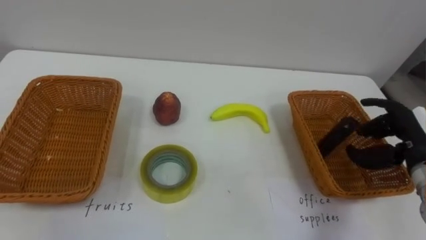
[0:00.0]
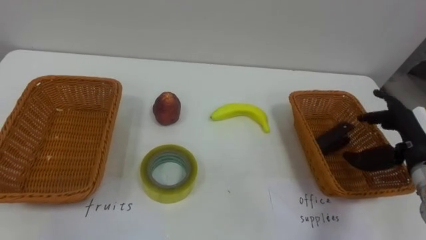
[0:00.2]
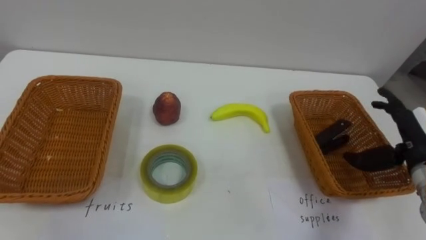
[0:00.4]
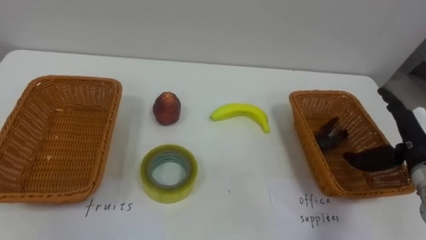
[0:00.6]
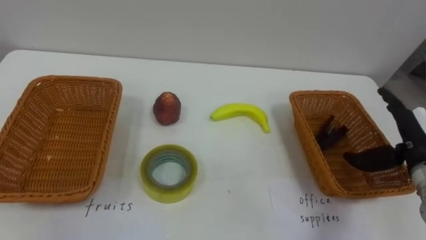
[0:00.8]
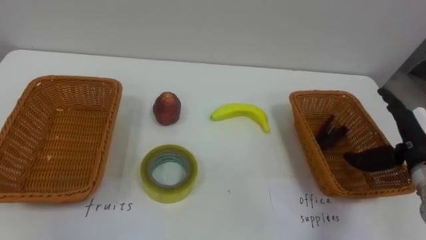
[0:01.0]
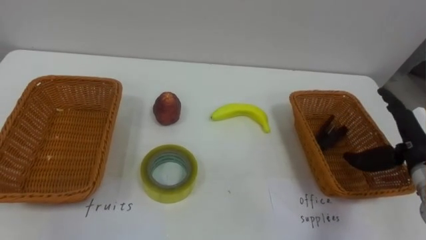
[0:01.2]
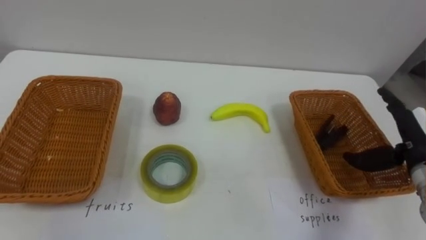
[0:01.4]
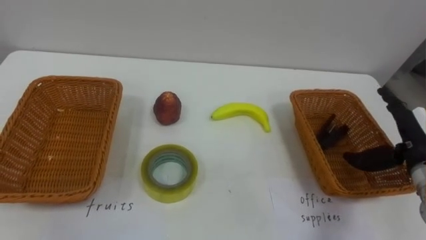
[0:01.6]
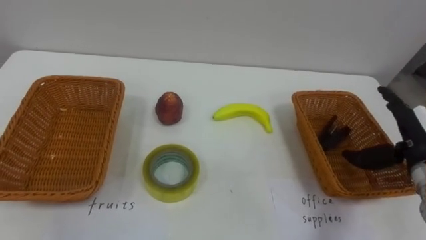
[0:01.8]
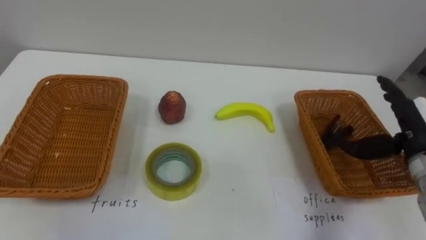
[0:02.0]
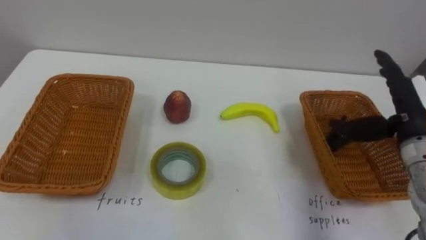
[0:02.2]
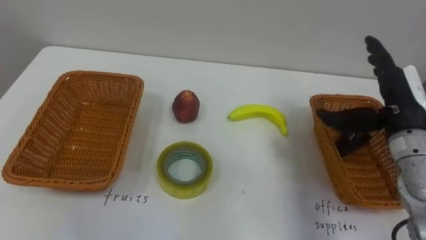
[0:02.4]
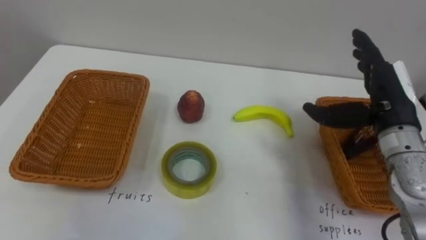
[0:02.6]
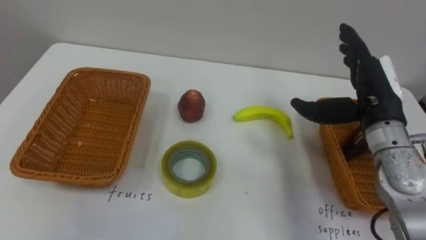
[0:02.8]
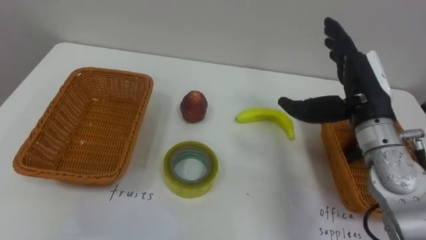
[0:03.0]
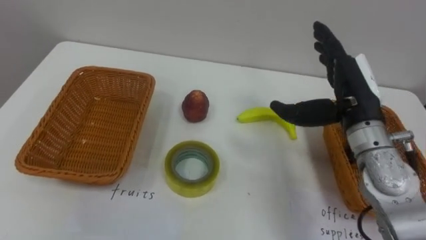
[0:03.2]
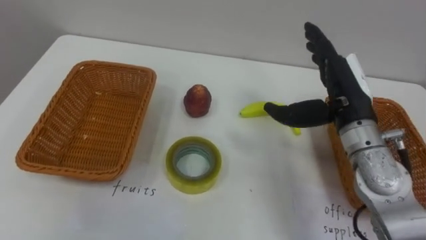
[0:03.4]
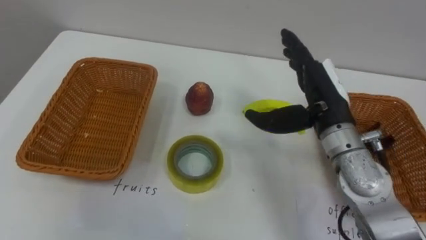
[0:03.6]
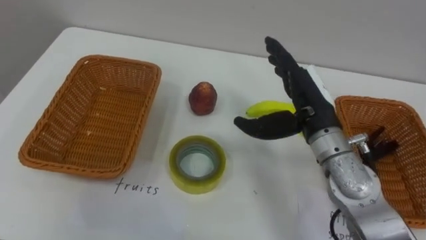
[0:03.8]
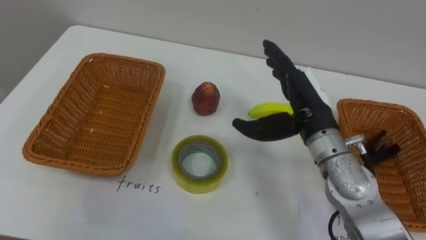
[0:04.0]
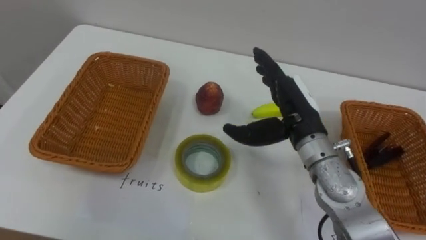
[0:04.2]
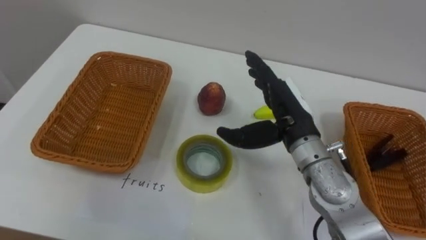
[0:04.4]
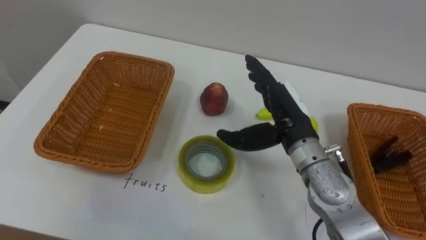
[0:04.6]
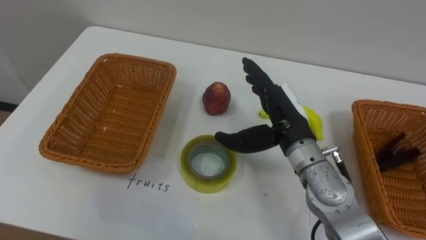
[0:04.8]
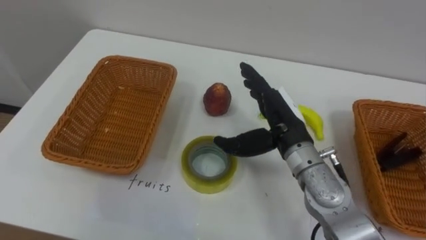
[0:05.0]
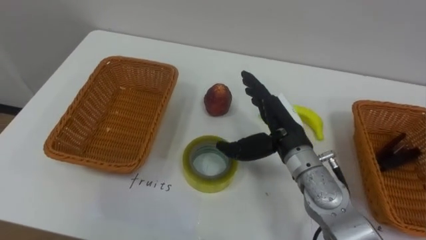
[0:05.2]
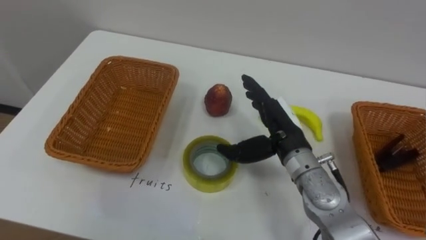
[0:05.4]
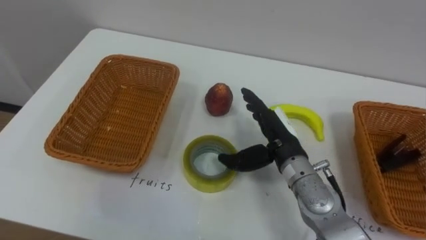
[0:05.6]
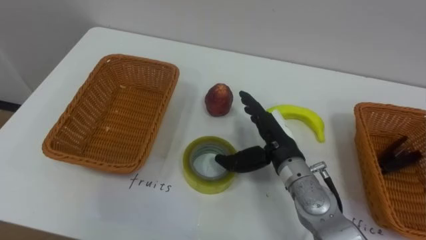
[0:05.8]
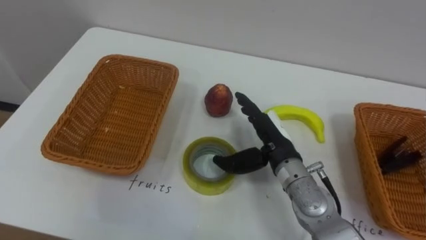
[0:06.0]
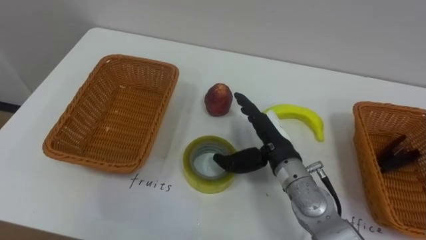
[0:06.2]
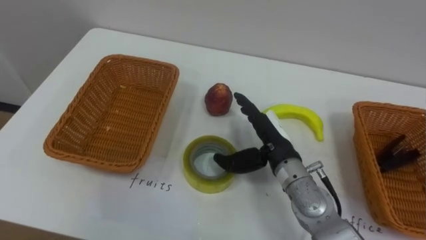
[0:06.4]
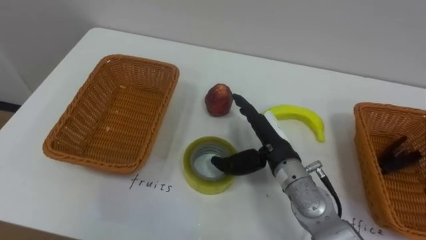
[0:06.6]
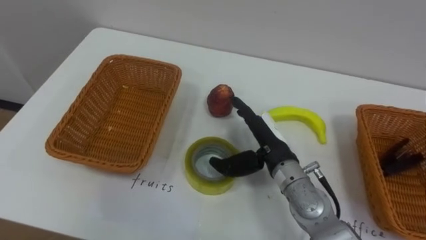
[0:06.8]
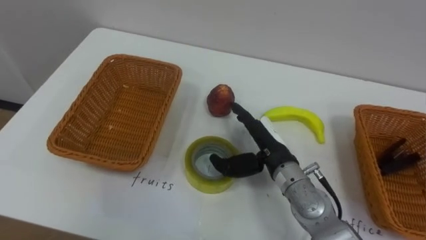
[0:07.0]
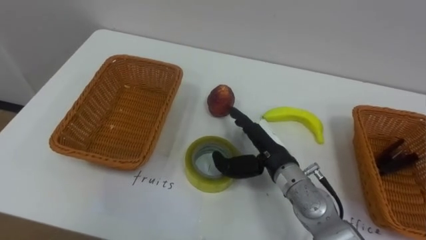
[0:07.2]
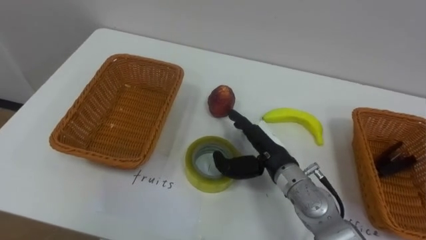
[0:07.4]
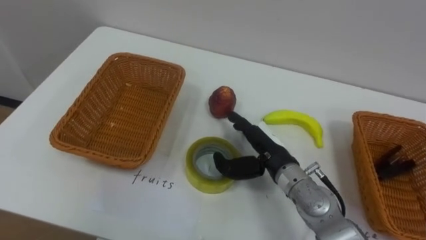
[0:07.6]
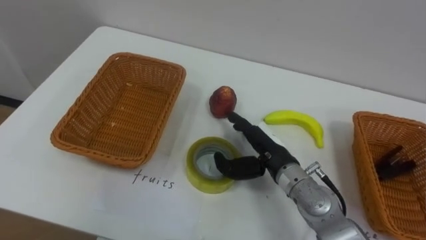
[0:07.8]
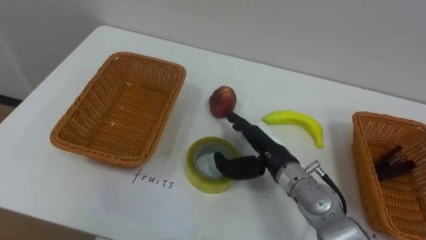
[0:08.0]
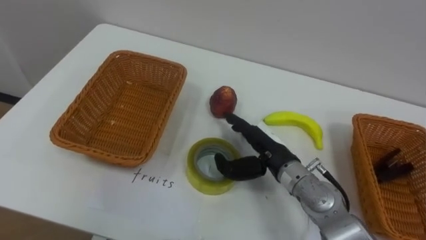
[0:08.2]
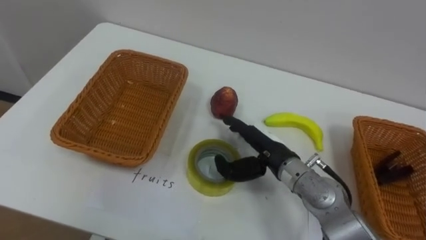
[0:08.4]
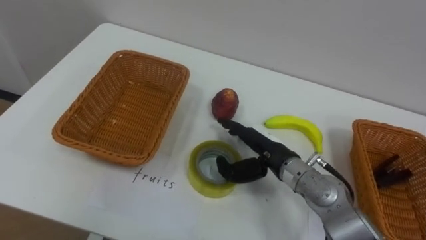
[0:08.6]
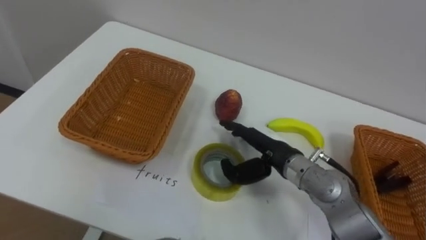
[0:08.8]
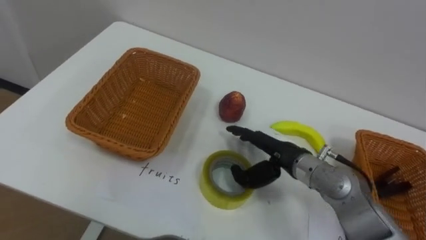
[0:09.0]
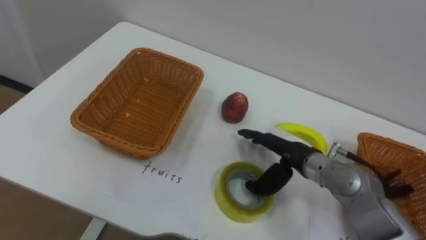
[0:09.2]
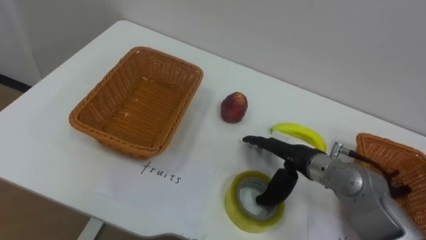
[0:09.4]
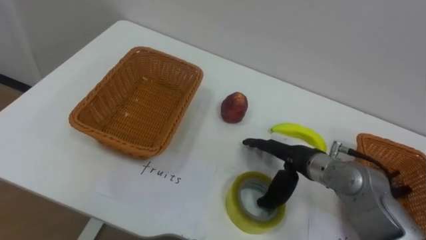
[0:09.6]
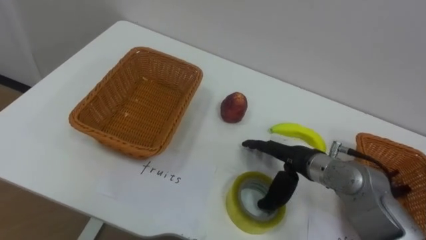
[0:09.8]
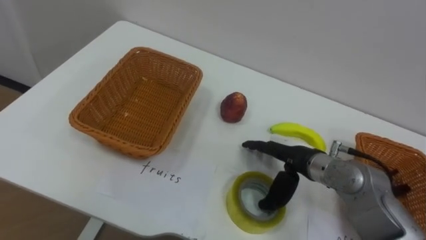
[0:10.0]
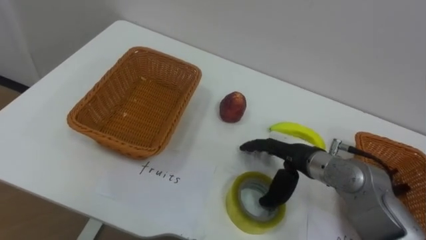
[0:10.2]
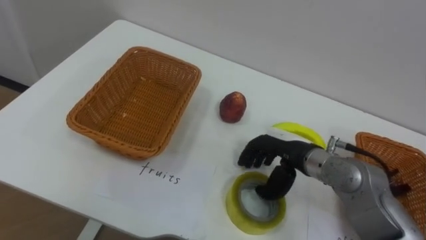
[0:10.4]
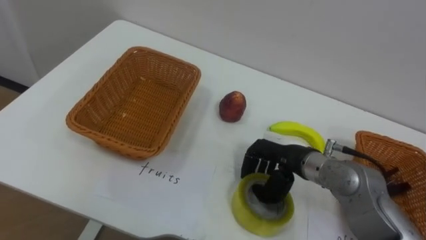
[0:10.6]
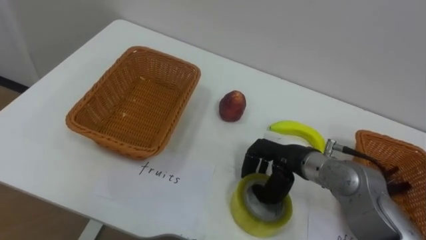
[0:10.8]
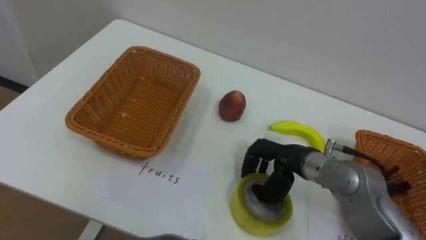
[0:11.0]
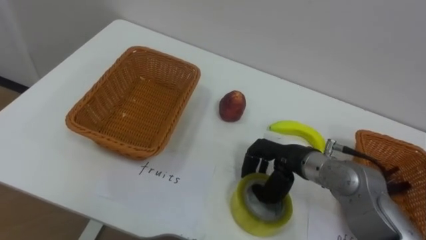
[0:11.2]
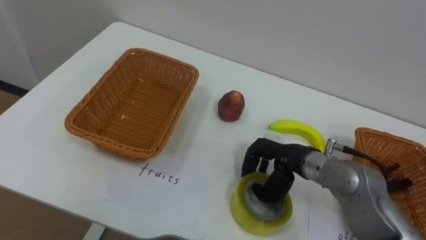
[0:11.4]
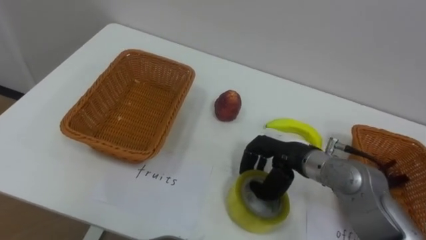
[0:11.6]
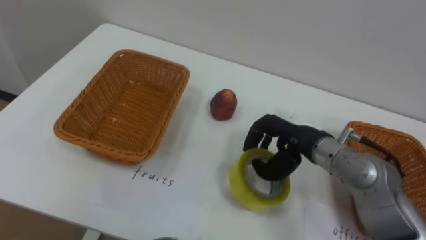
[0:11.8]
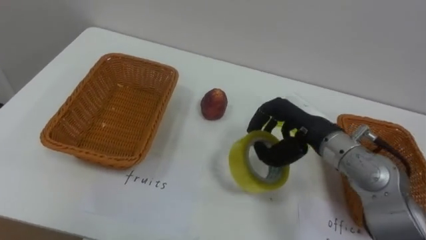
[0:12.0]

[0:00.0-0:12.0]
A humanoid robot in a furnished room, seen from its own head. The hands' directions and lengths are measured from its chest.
Task of the whole recording: Separate the items on the table and place them into the two baskets.
0:00.0 to 0:01.6: The right hand opens its fingers.
0:01.6 to 0:03.0: The right hand travels to the left and upward by about 15 cm.
0:03.0 to 0:04.4: The right hand is displaced to the left by some 10 cm.
0:04.4 to 0:06.0: The right hand goes some 5 cm downward.
0:10.4 to 0:12.0: The right hand shifts approximately 5 cm upward, and closes.

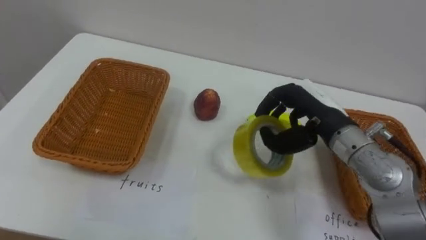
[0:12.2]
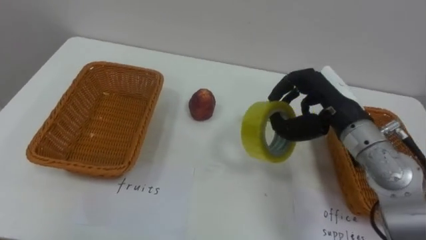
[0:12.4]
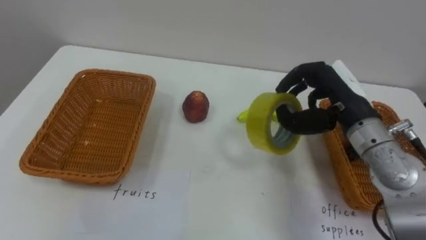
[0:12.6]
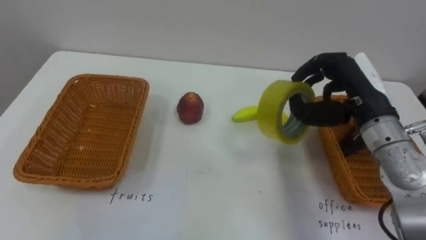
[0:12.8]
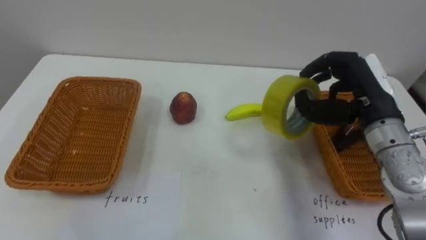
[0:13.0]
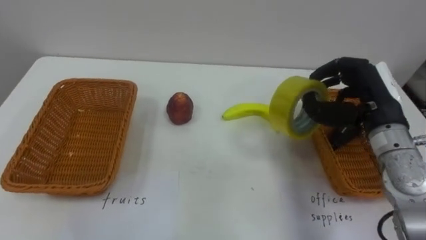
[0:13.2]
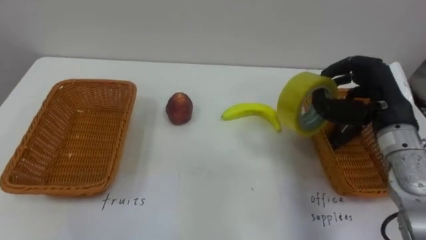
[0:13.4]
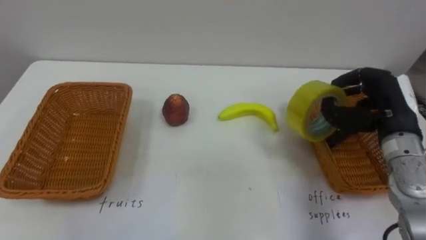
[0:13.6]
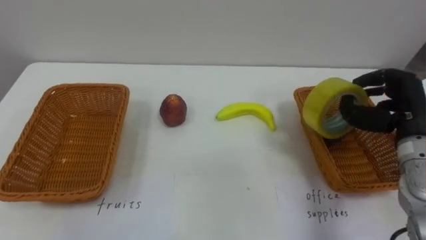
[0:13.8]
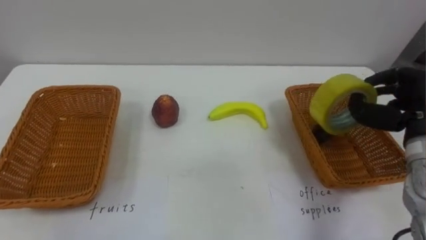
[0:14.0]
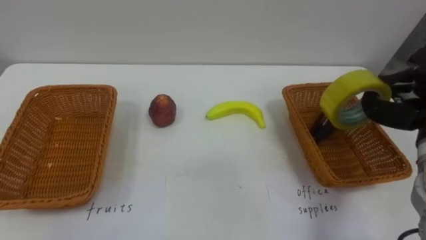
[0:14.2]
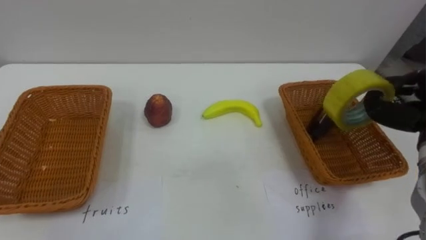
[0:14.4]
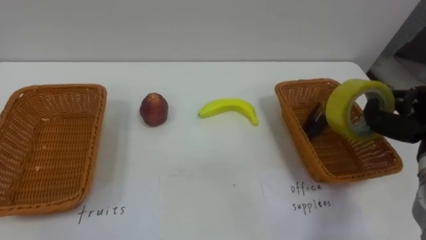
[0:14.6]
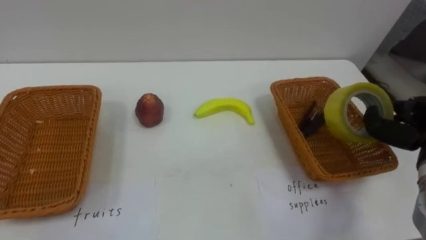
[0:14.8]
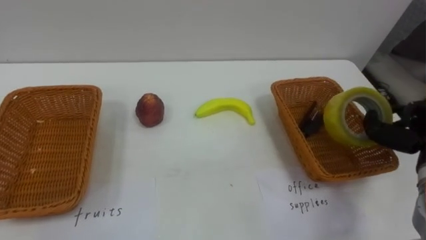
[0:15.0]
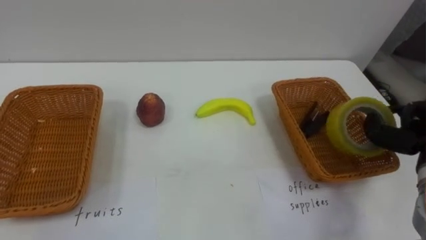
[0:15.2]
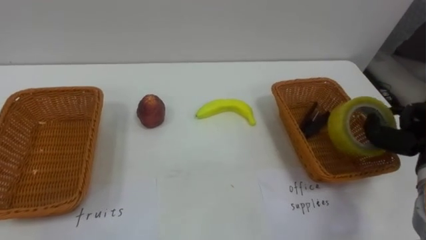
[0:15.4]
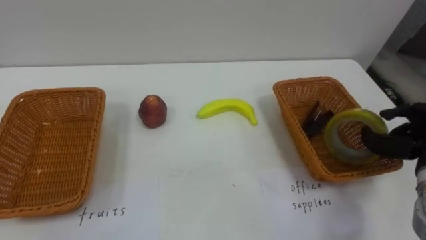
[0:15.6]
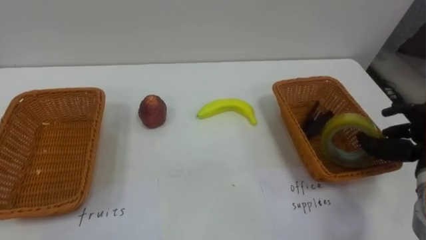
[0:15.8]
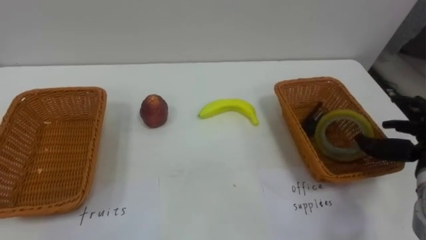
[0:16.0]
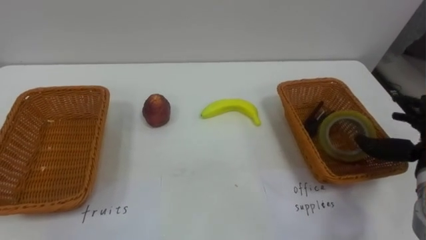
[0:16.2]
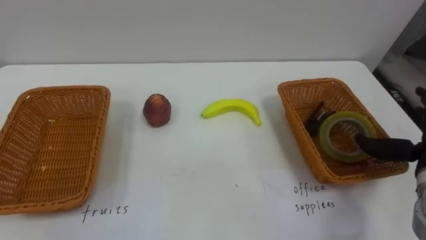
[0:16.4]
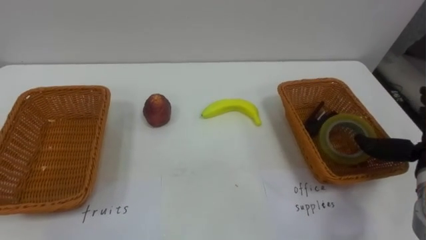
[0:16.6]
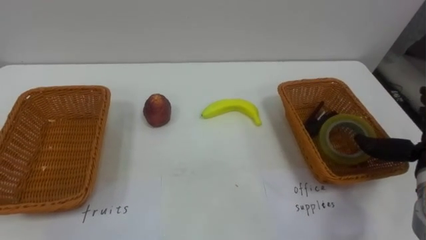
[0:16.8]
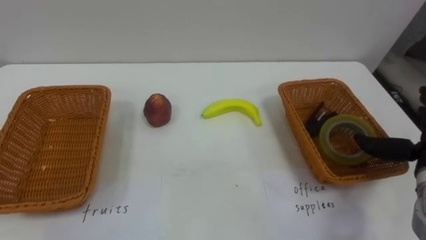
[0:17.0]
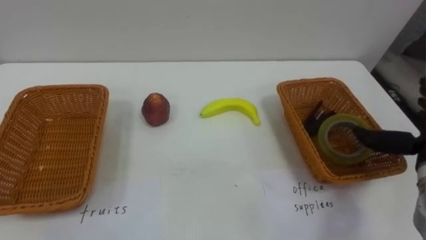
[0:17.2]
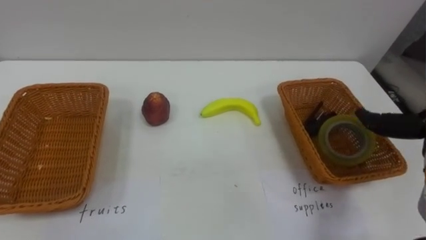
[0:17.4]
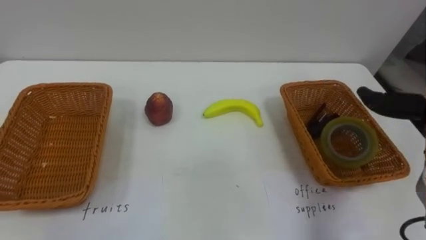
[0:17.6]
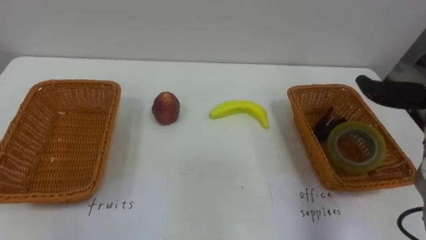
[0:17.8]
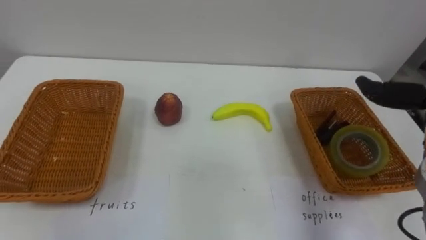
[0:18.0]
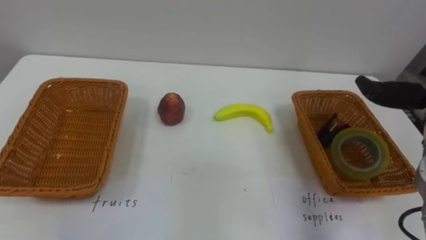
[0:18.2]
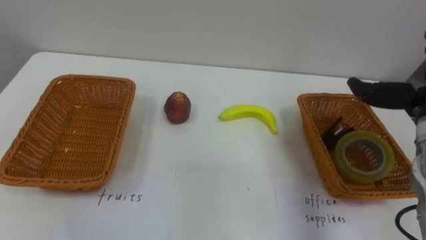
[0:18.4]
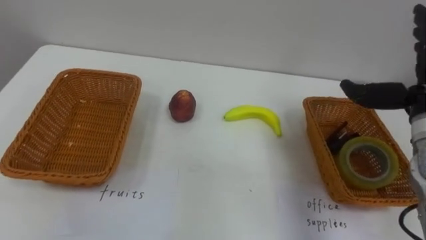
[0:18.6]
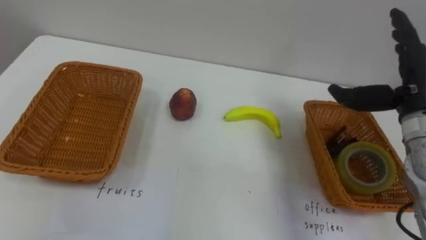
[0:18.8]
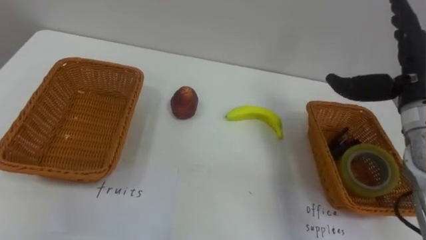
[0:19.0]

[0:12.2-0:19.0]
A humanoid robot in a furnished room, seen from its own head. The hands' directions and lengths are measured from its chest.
Task of the whole recording: Separate the items on the table and place them into the two baskets.
0:12.2 to 0:13.6: The right hand shifts about 10 cm to the right.
